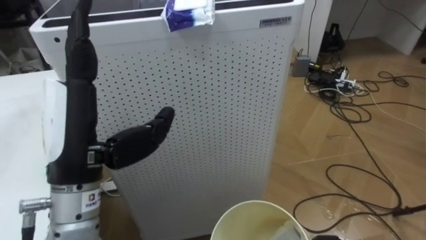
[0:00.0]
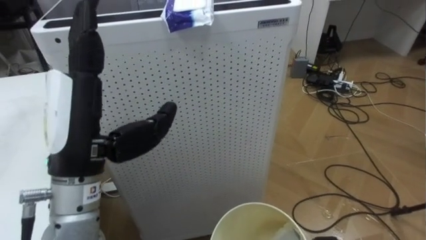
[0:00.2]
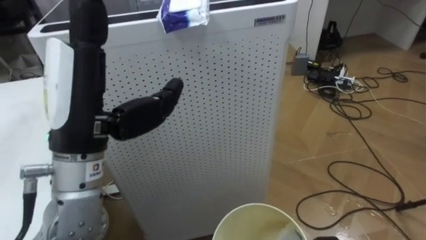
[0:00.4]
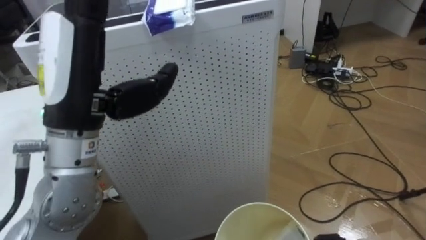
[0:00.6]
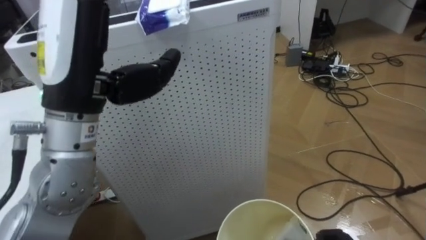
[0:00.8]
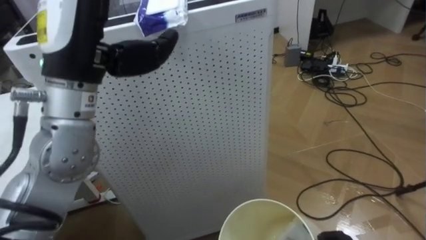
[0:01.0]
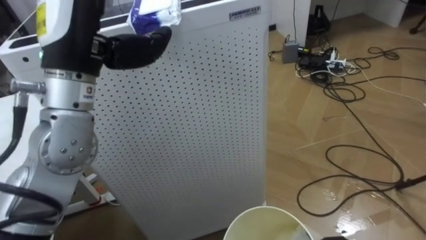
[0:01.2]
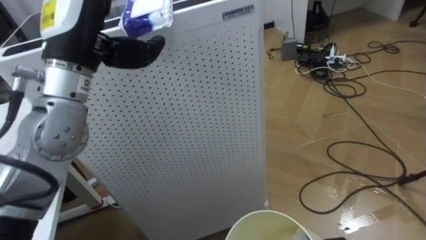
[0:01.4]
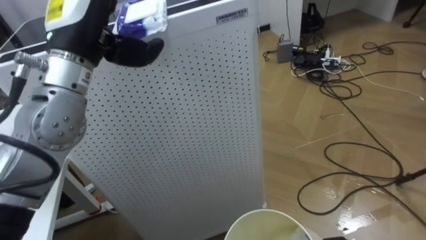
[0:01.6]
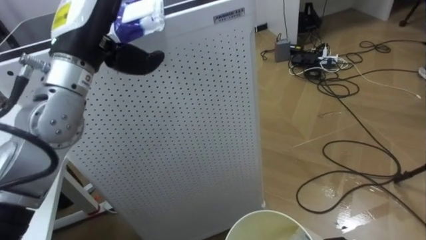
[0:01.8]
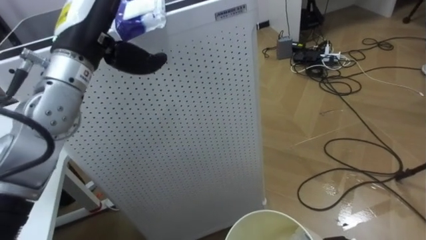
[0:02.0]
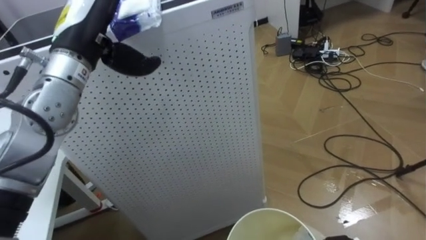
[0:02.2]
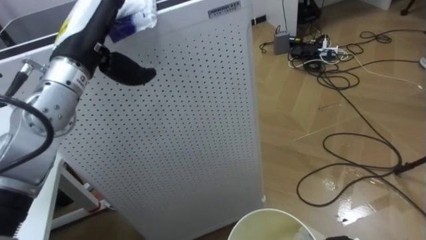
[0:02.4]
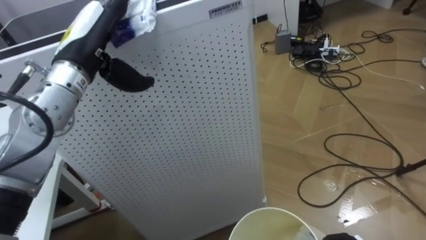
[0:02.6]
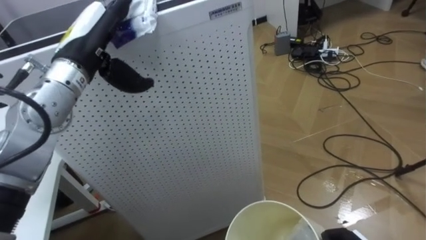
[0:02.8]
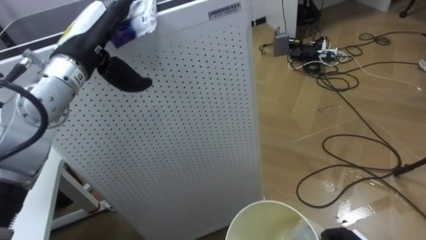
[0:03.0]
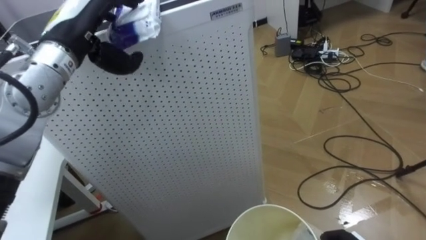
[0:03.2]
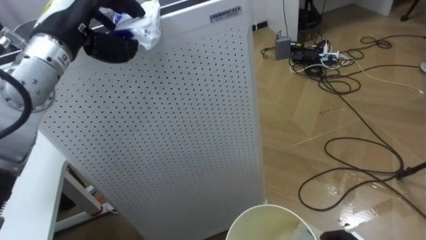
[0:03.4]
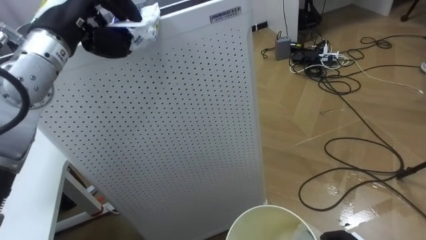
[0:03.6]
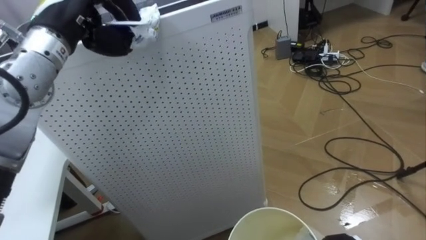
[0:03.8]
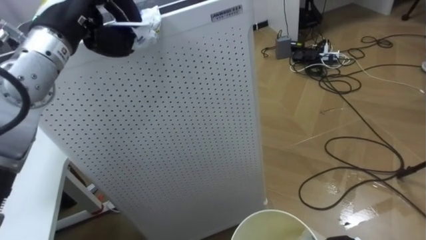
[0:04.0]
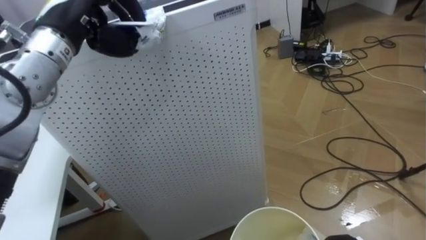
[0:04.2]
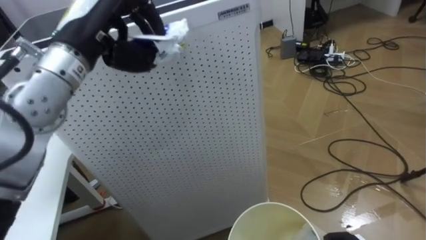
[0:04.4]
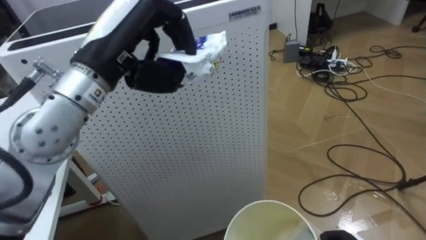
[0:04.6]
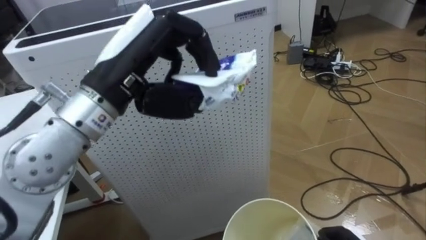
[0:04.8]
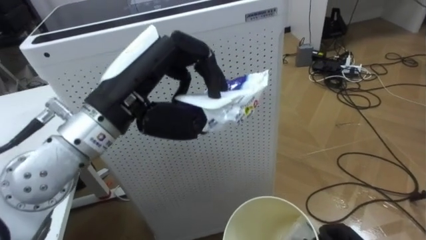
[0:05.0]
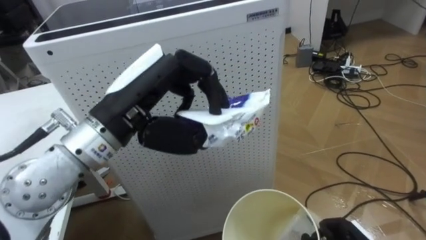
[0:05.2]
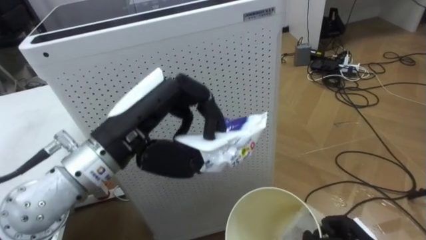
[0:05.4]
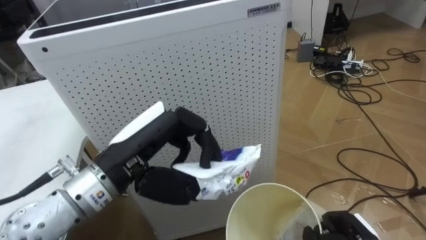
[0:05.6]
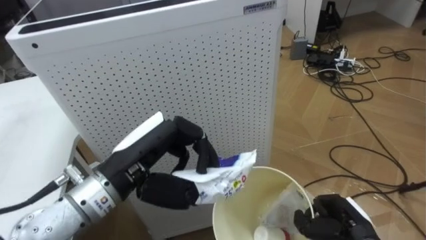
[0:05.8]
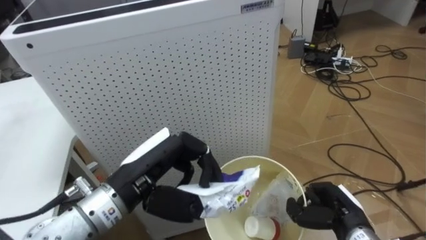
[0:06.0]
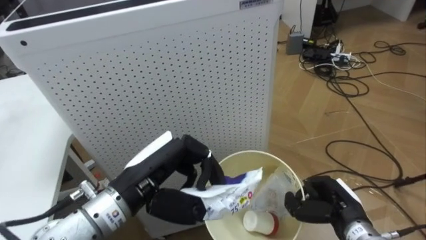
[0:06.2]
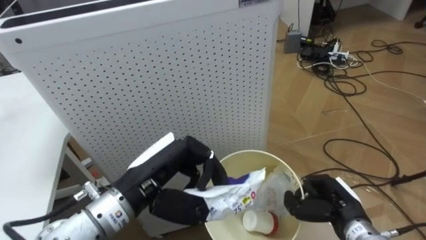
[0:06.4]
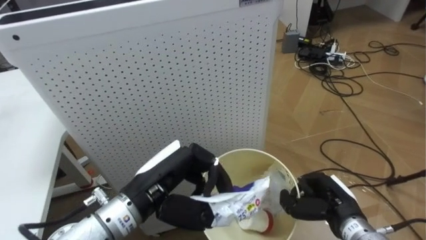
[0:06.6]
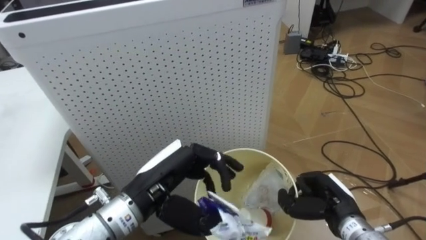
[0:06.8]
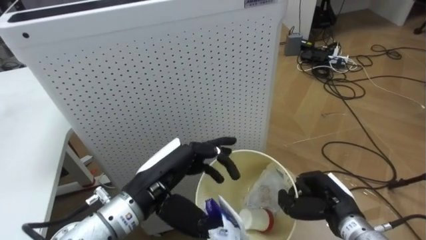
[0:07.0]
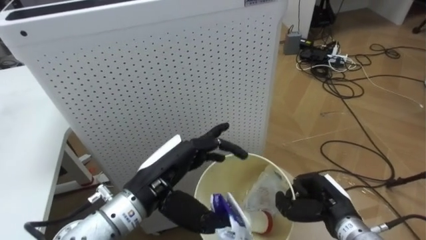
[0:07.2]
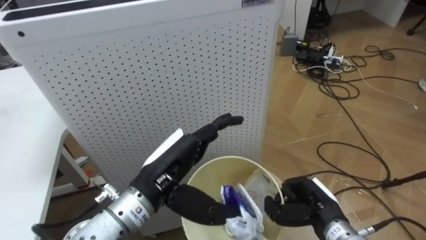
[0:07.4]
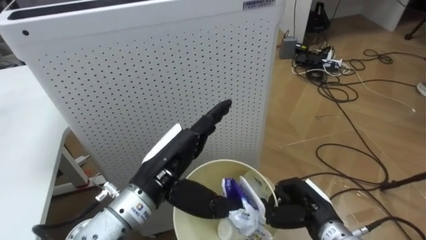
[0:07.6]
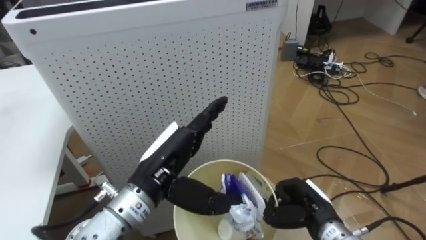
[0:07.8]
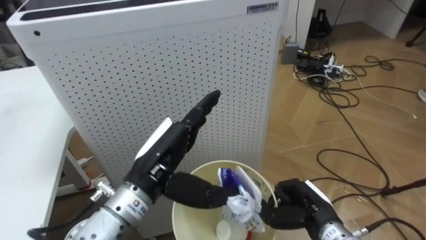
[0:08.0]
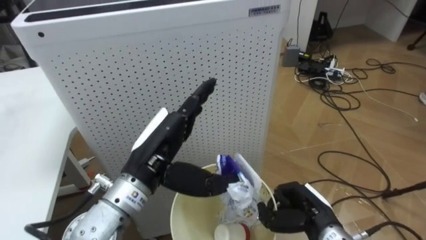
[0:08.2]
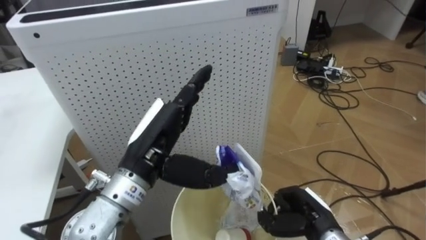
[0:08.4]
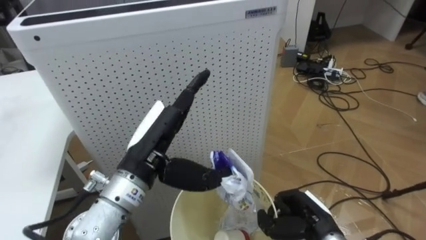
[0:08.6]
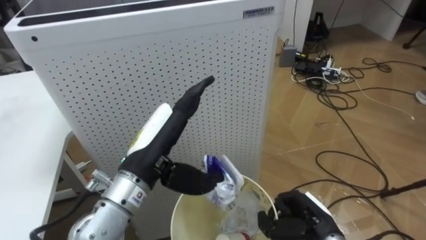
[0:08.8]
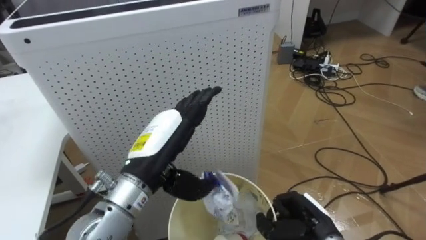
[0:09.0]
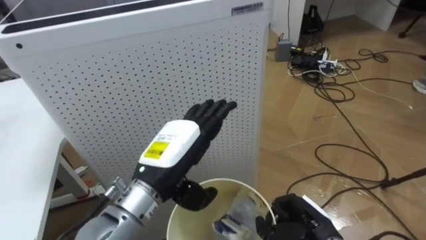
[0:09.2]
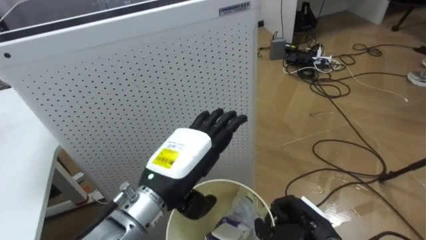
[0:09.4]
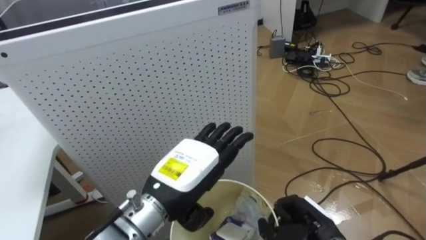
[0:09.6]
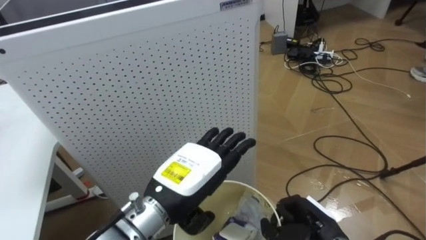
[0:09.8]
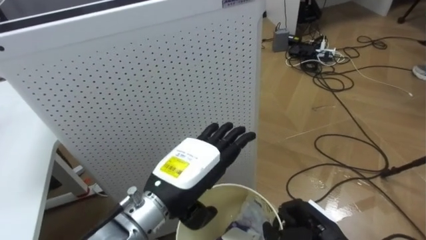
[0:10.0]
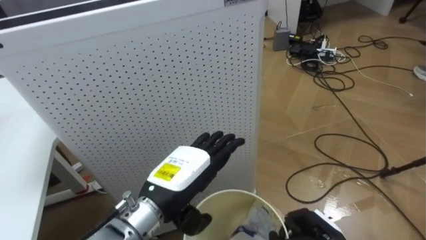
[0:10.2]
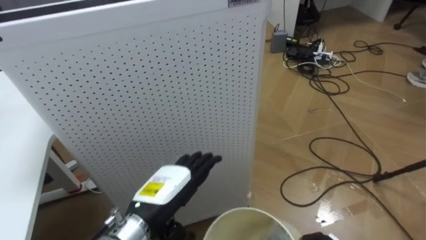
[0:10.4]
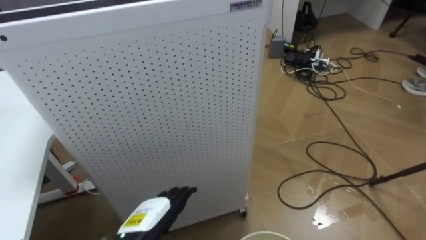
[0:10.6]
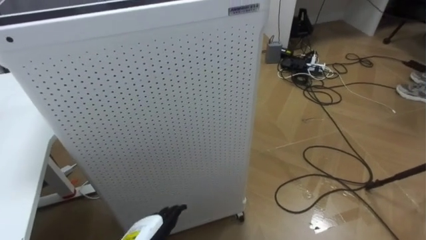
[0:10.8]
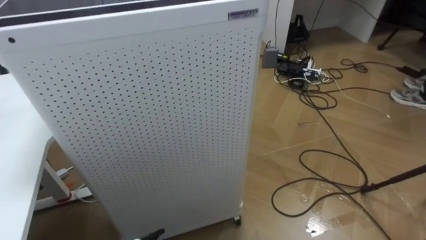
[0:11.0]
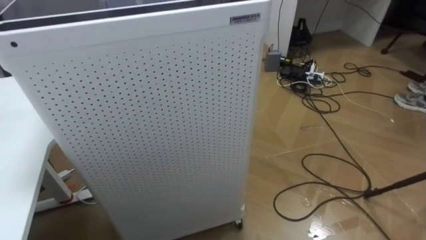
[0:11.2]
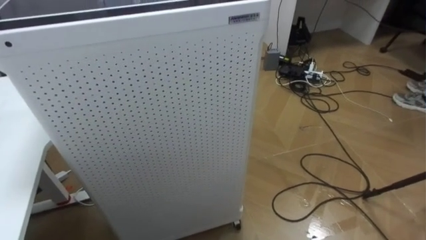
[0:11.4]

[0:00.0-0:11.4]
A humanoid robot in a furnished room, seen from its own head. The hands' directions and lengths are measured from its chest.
Task of the whole recording: Pick up the light blue package, the candy box, and the dark blue package separately, and put them into the trash can held in your right hand.
0:00.0 to 0:01.4: The left hand is displaced upward and forward by some 15 cm.
0:01.4 to 0:02.8: The left hand travels forward and downward by some 10 cm.
0:02.8 to 0:04.2: The left hand closes up.
0:04.2 to 0:05.6: The left hand travels backward, downward and to the right by approximately 20 cm.
0:05.6 to 0:07.2: The left hand goes about 5 cm downward, and opens up.
0:08.6 to 0:10.0: The left hand shifts by roughly 5 cm.

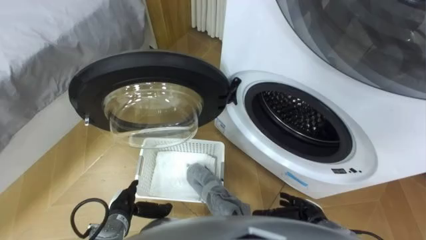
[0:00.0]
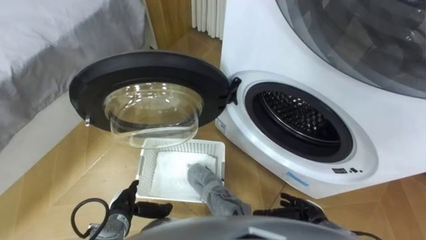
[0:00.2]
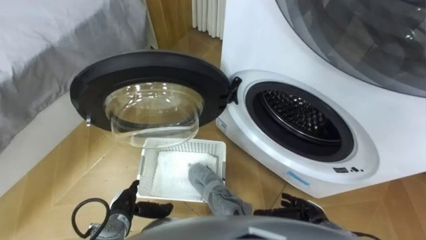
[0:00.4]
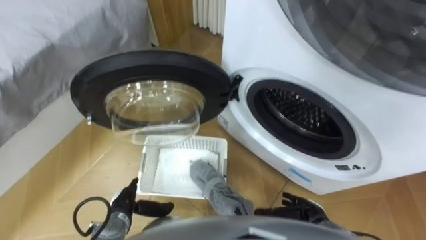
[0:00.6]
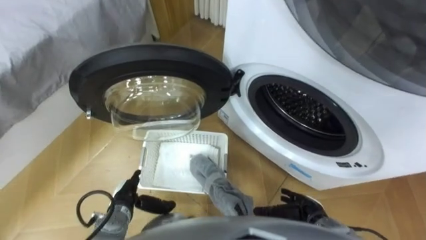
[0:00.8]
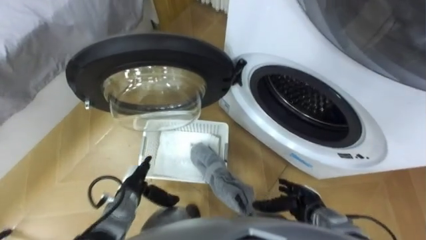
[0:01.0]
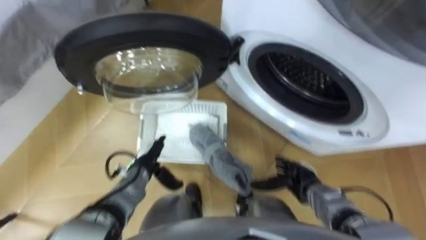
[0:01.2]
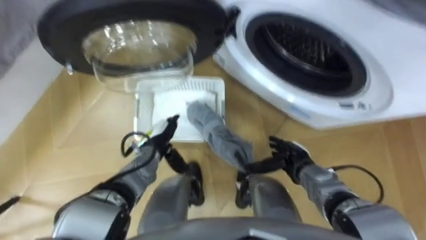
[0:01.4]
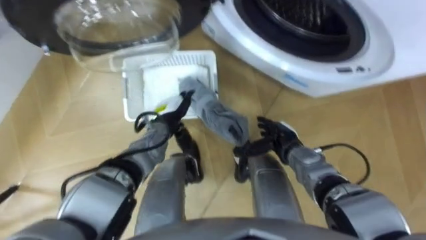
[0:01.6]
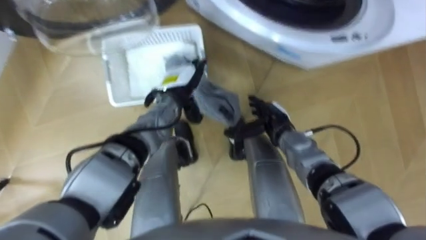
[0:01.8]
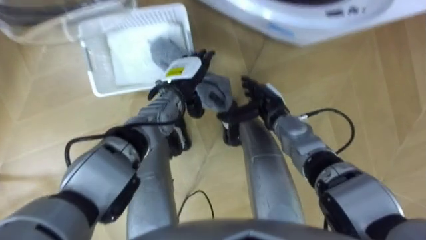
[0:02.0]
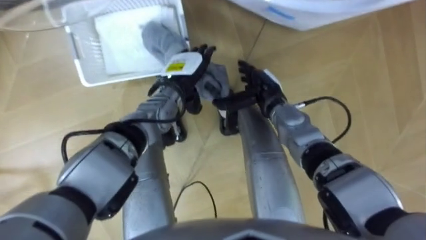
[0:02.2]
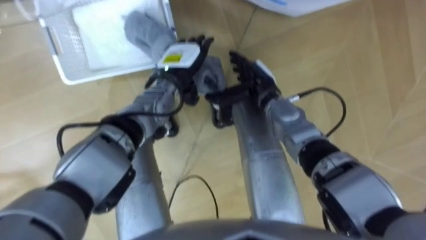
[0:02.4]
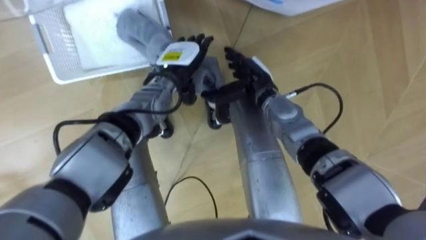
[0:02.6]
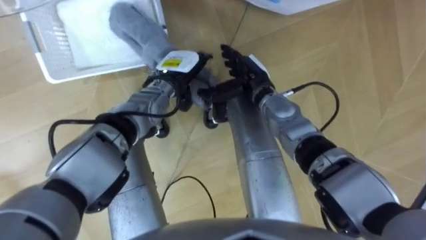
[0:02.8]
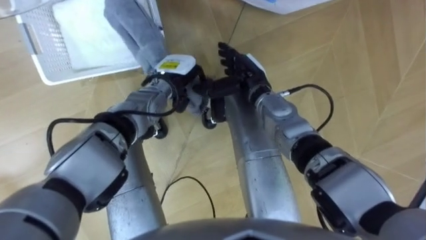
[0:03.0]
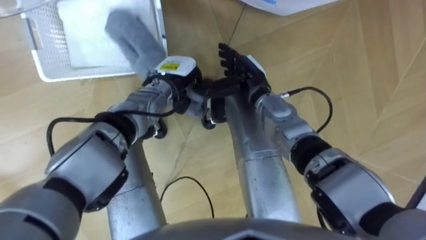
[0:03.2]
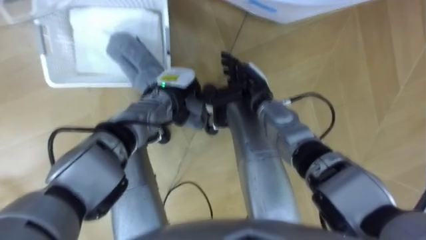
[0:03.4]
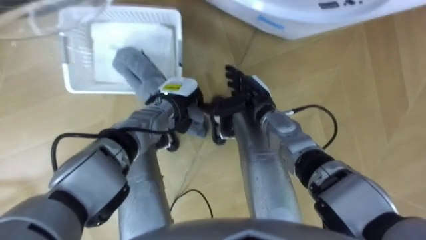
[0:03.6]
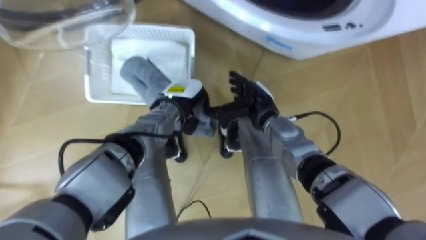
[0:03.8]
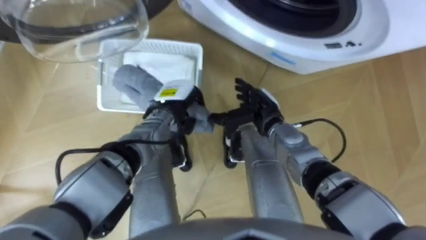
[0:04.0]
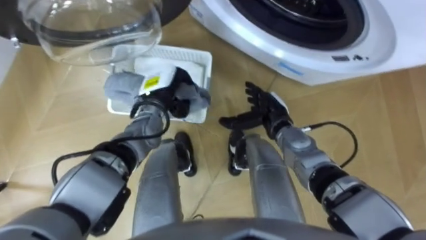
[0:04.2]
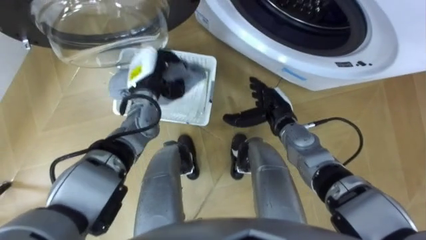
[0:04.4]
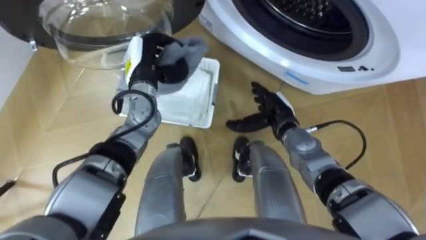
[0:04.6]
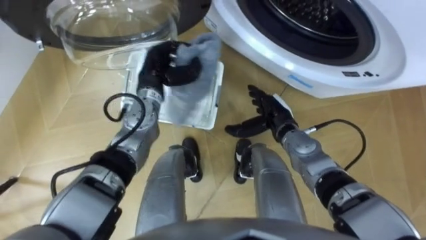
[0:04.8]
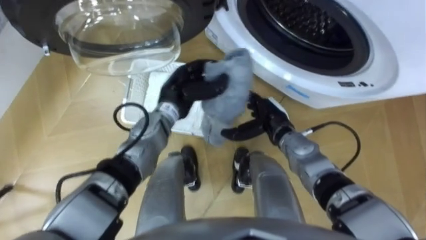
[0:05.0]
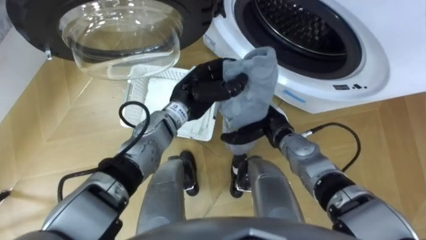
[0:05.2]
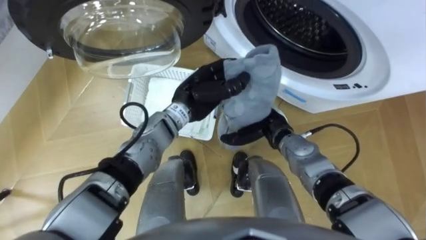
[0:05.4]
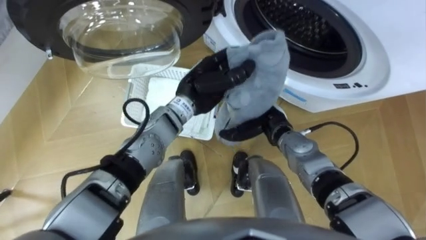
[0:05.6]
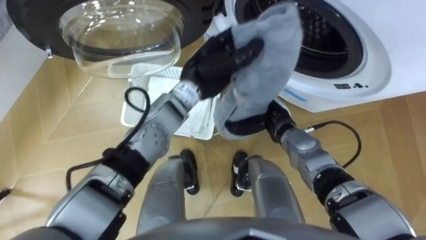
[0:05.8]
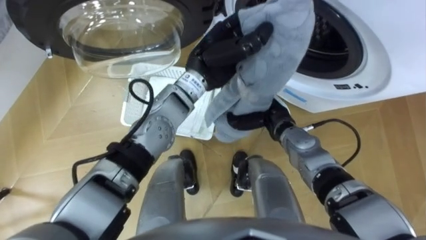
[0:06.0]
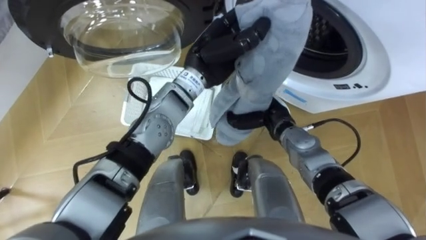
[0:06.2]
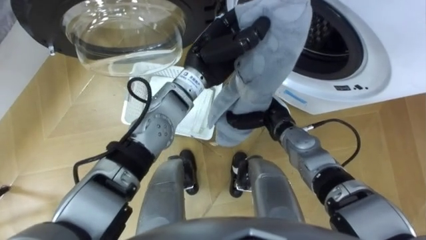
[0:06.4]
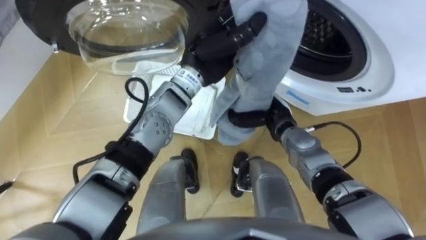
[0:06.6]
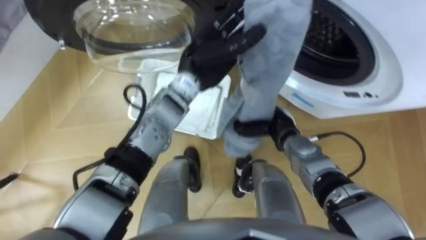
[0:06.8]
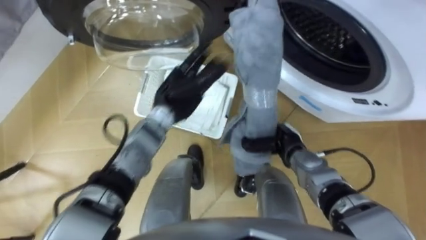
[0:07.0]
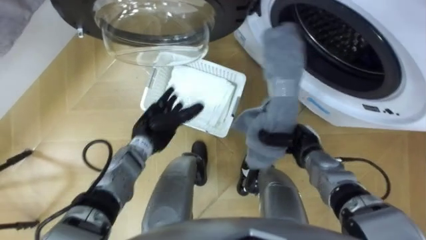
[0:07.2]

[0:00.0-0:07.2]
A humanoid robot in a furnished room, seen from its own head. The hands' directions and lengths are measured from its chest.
Task of the whole recording: Take the towel from the basket and put it into the washing machine.
0:01.4 to 0:02.8: The right hand goes roughly 20 cm forward, upward and to the left; the left hand is displaced forward, upward and to the right by about 15 cm.
0:02.8 to 0:04.4: The left hand heads to the left, covering some 5 cm, and closes its fingers. Meanwhile the right hand moves to the right and downward, roughly 10 cm.
0:04.4 to 0:05.8: The left hand goes approximately 15 cm to the right and upward.
0:05.8 to 0:07.2: The left hand travels downward, to the left and backward by some 20 cm, and opens. The right hand moves to the right, roughly 10 cm.
